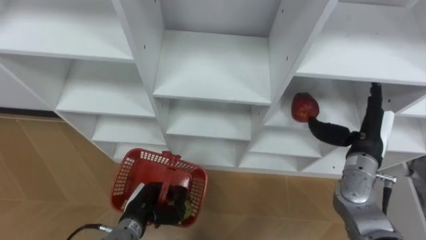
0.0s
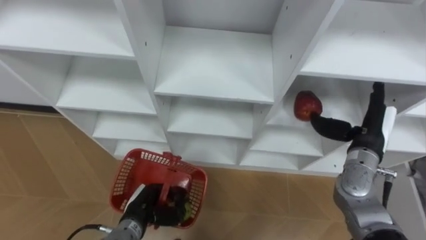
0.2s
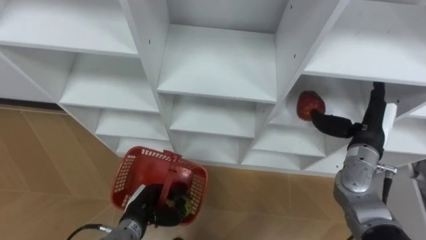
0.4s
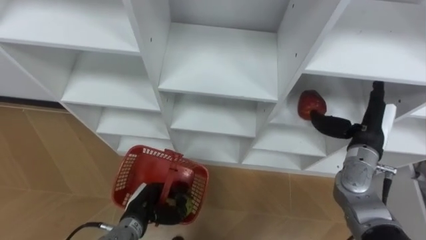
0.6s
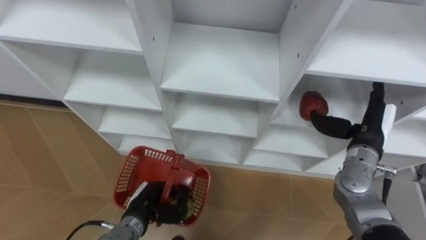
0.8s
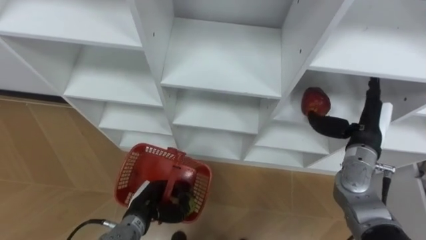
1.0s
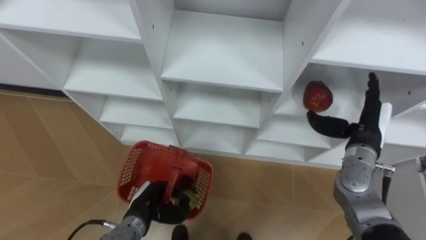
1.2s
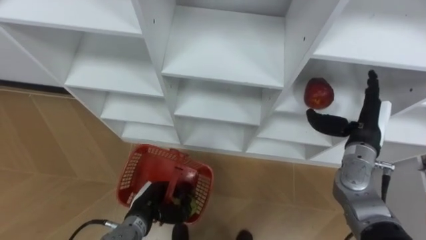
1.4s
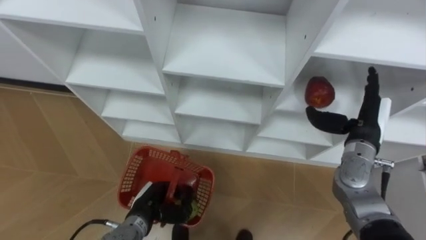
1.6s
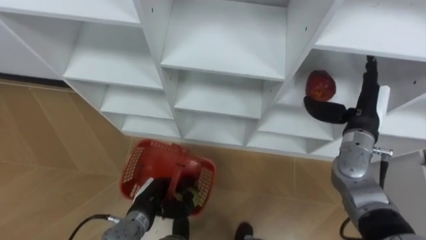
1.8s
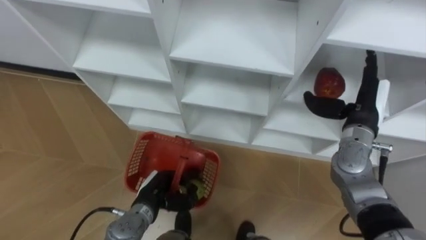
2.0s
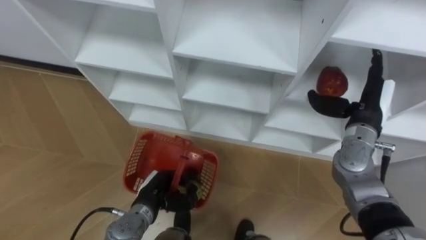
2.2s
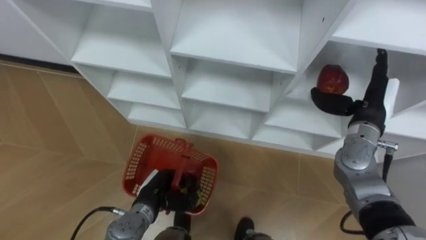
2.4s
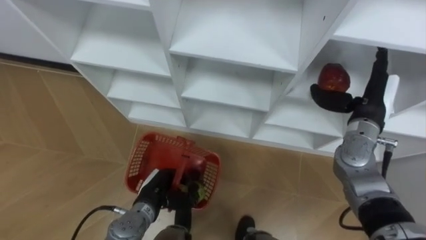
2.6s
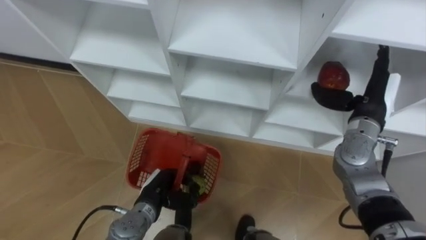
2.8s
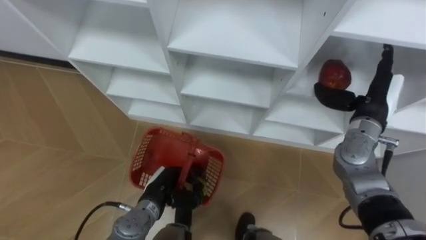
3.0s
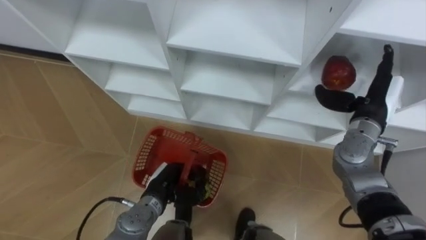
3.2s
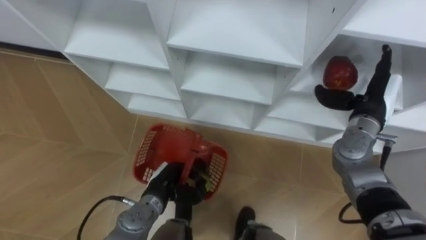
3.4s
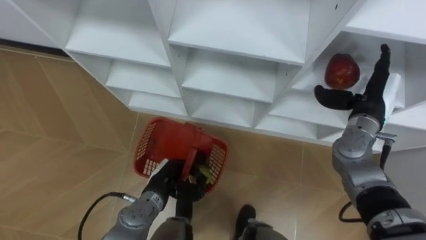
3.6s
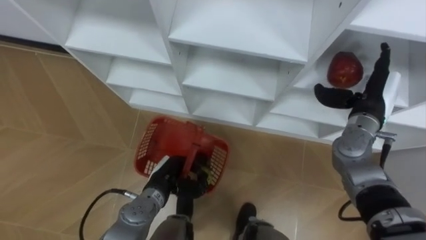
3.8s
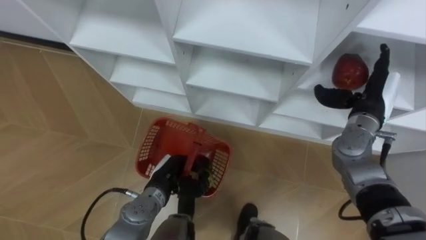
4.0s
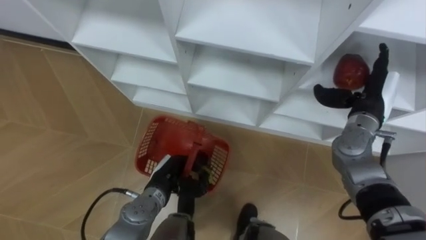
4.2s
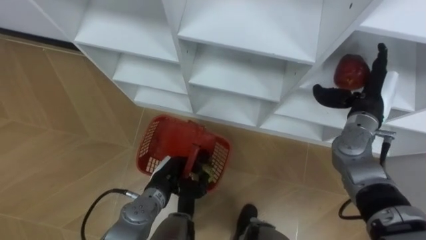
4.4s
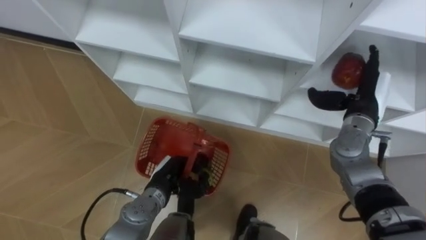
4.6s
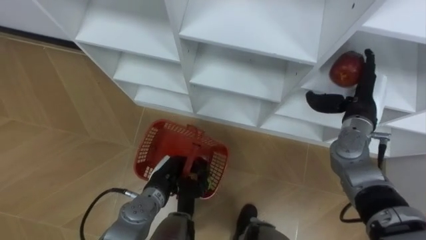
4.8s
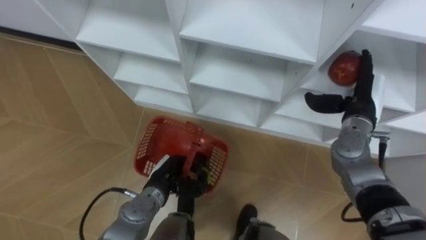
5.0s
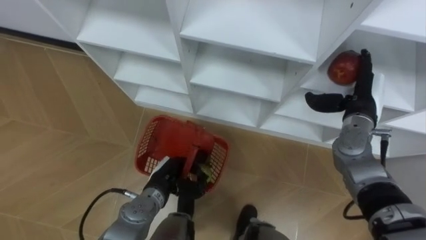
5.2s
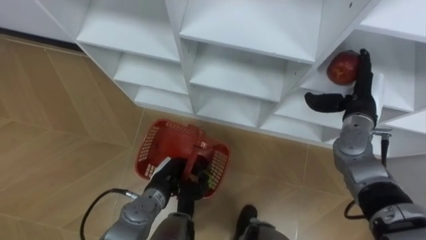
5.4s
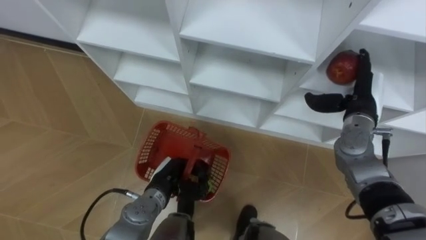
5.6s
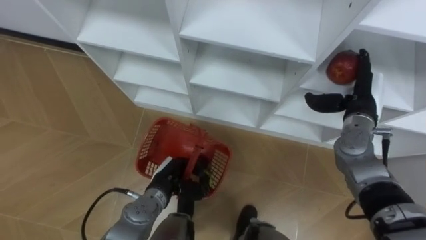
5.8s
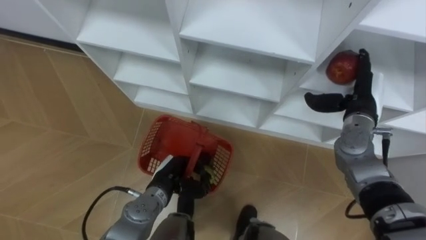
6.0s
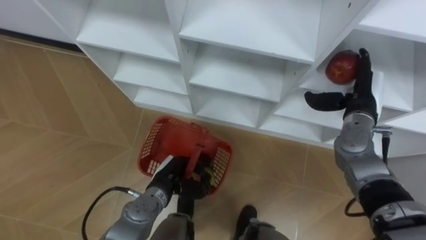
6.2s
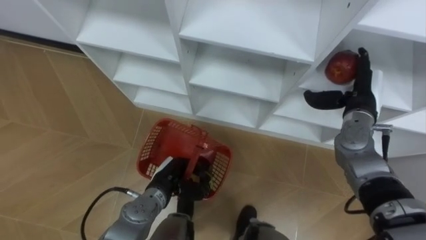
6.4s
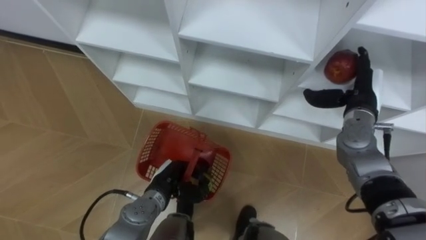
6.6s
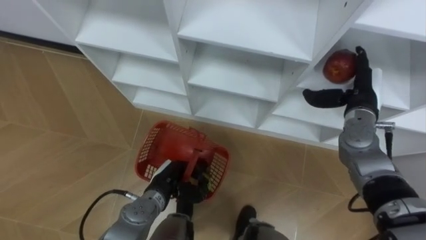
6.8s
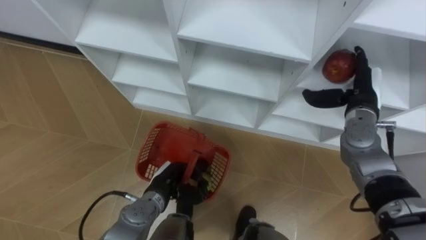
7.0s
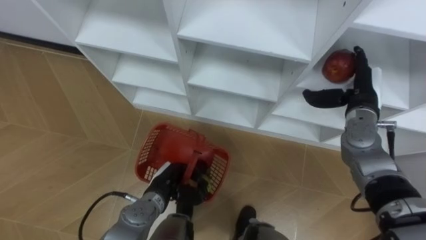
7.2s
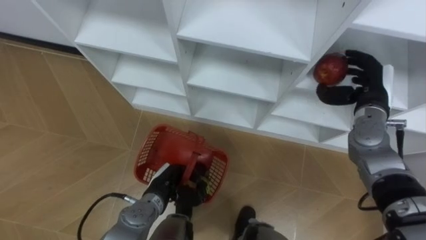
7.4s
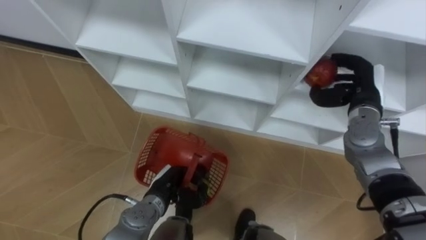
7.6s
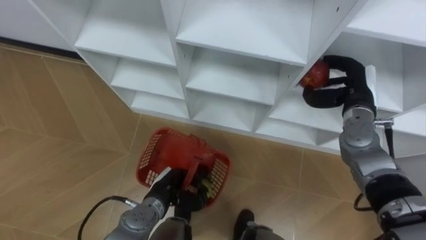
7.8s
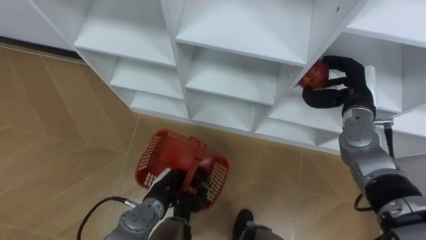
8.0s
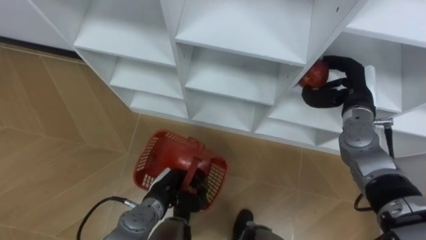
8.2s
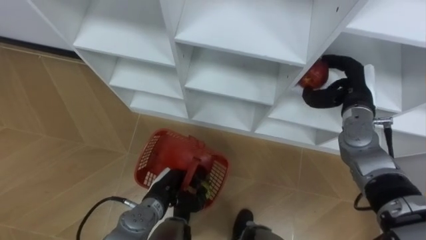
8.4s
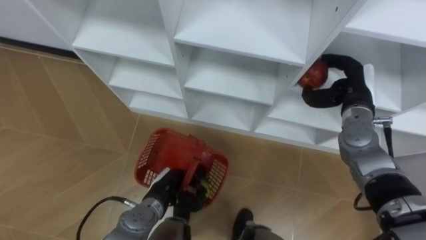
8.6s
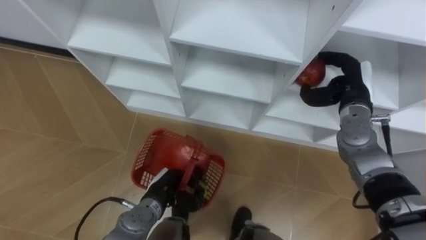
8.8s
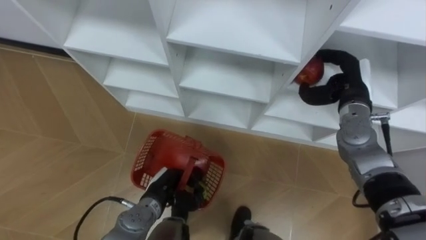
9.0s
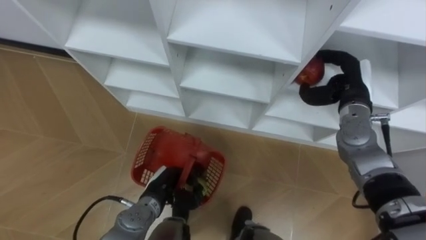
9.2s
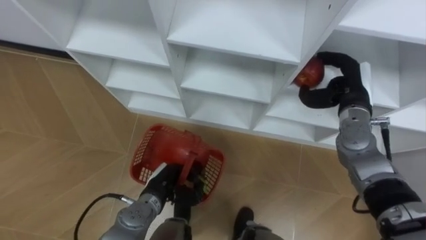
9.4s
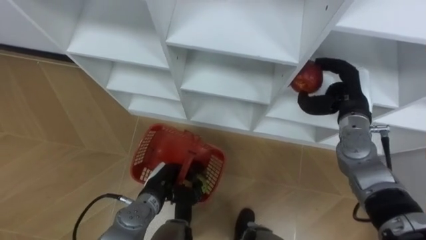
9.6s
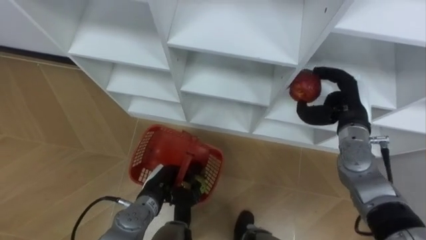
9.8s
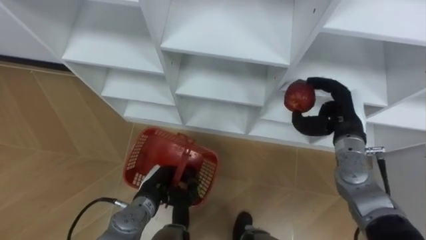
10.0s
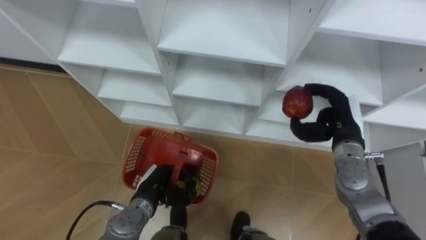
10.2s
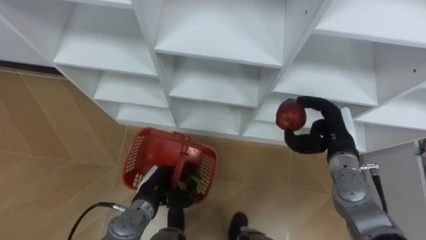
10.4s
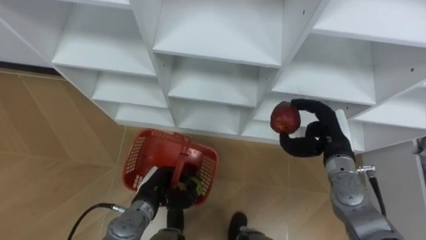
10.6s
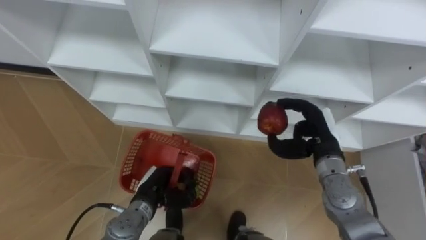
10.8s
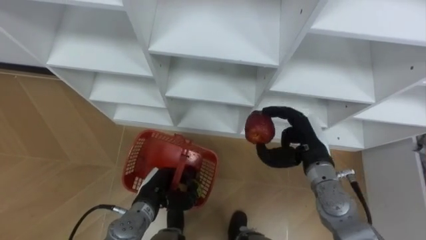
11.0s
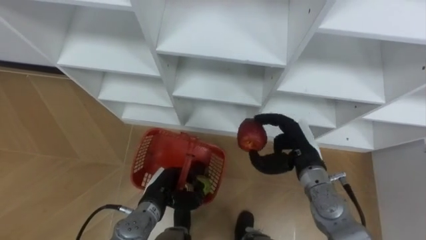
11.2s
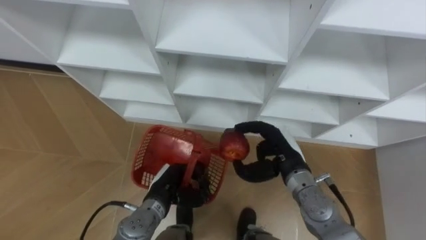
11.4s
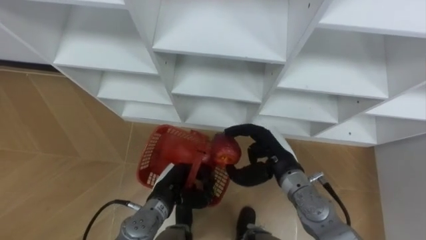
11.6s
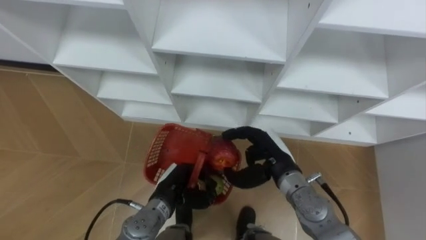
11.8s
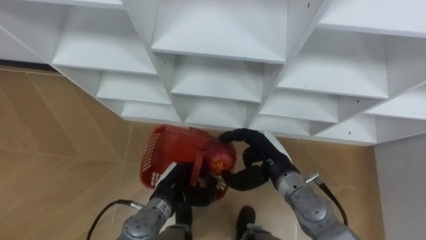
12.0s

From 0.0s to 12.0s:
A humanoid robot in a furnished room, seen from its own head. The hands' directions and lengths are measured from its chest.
Task of the whole recording: Hold the basket and collect the fruits from 3 different cells of the closet into it.
From 4.4s to 6.0s: The hands move only a little.
From 6.0s to 7.6s: The right hand closes its fingers.
From 7.6s to 9.0s: The hands stay close to where they were, moving slightly.
From 9.0s to 10.4s: The right hand moves backward and downward, roughly 10 cm.
From 10.4s to 12.0s: The right hand is displaced to the left by approximately 15 cm.

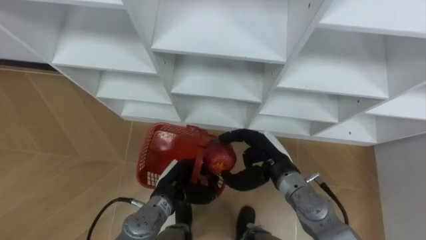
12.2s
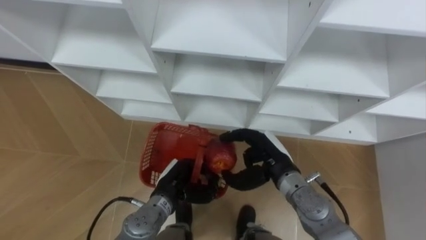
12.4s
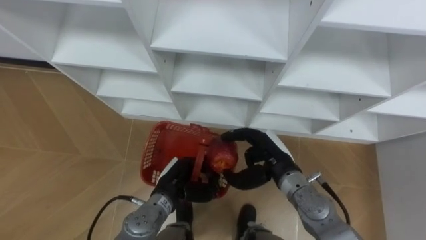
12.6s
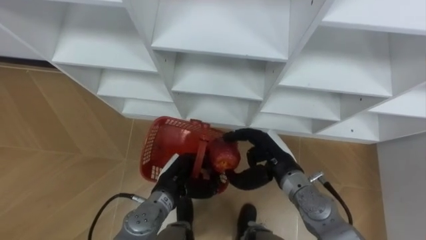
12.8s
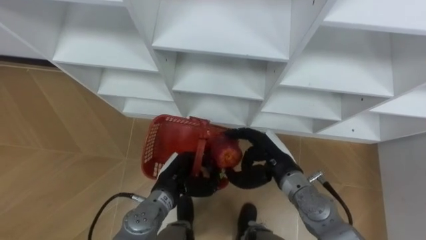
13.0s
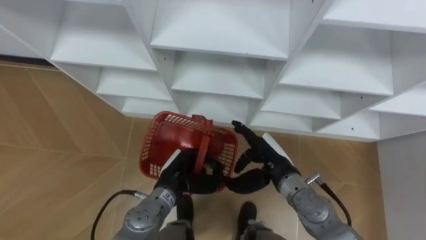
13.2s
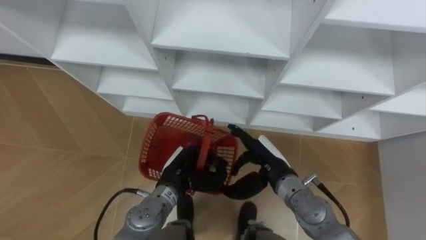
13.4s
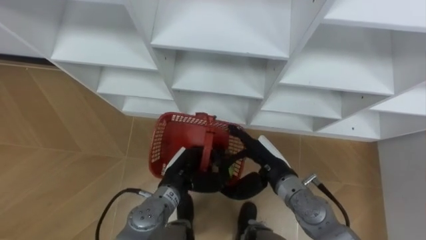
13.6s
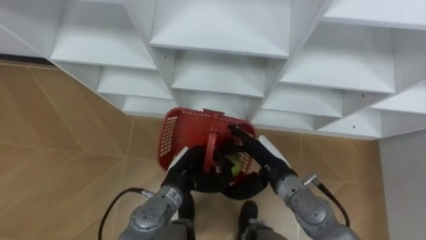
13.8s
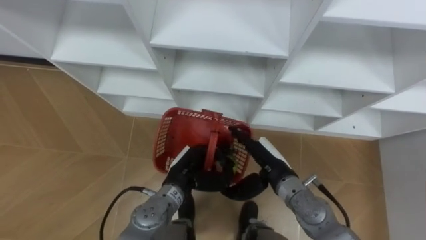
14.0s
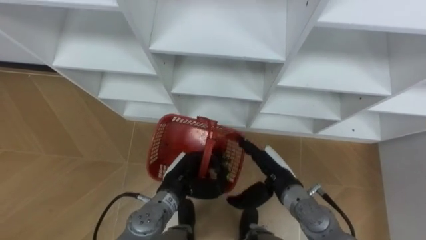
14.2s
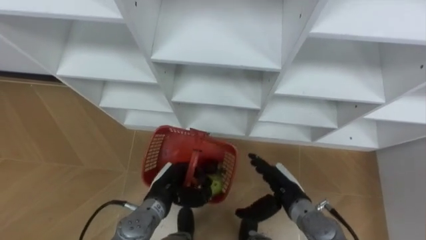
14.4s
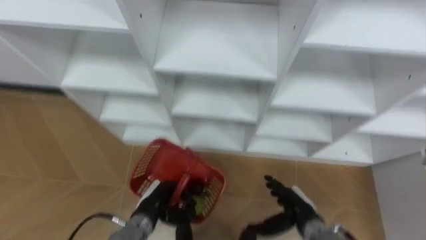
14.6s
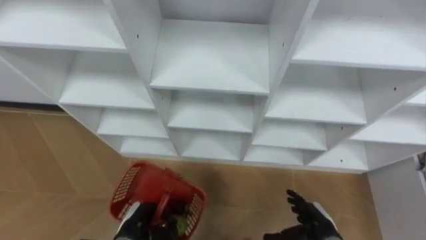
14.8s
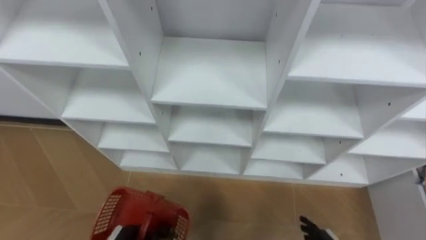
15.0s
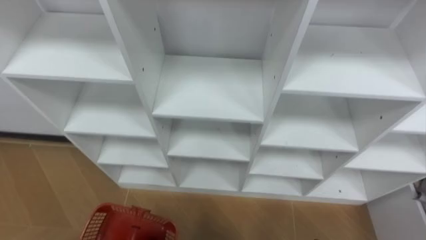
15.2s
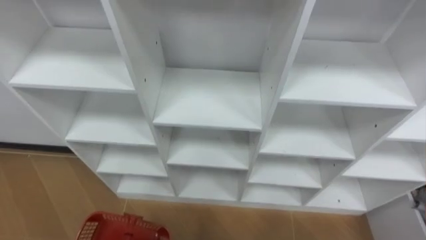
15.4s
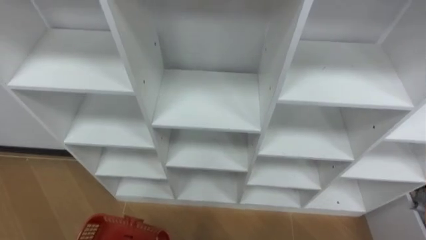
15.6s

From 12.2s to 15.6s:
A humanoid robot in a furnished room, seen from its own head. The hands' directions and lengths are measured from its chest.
Task of the whole recording: Hold the basket and collect the fruits from 3 different cells of the closet into it.
From 12.2s to 13.8s: The right hand opens up.

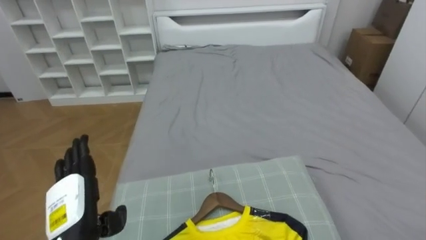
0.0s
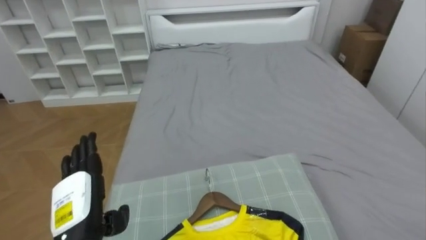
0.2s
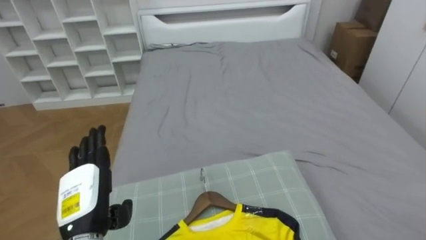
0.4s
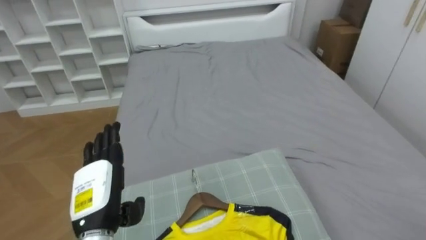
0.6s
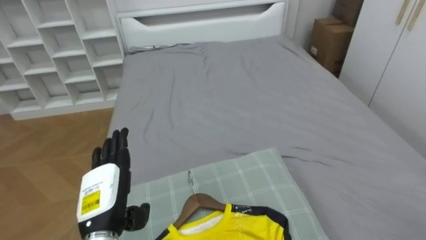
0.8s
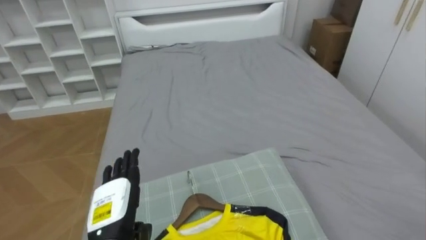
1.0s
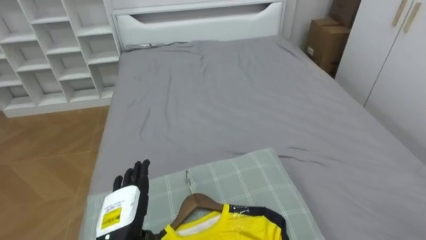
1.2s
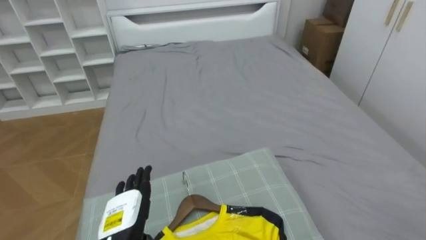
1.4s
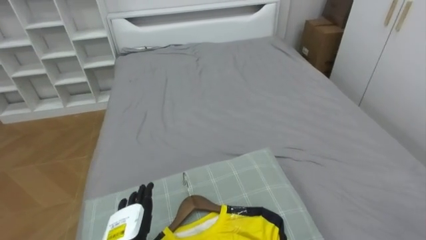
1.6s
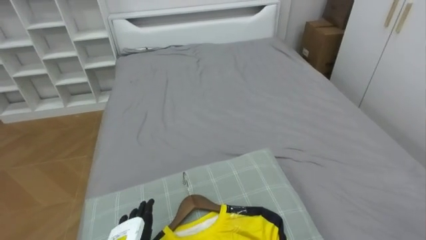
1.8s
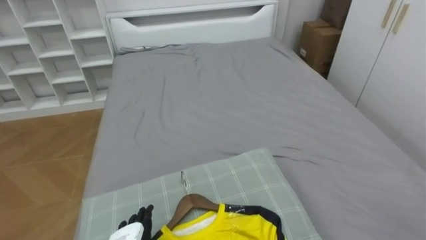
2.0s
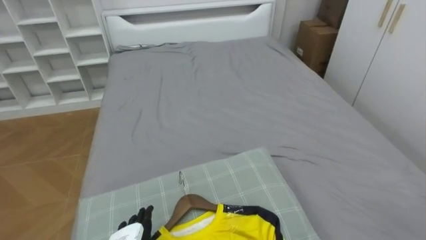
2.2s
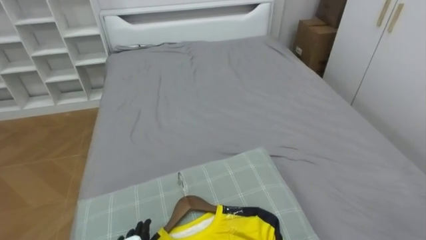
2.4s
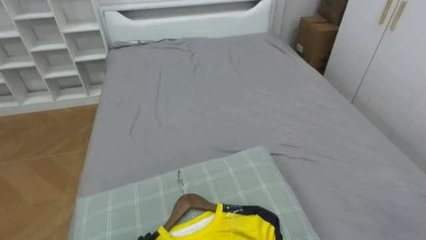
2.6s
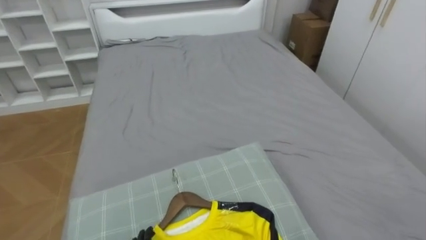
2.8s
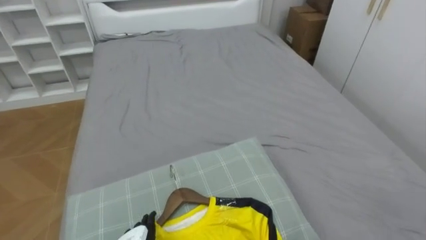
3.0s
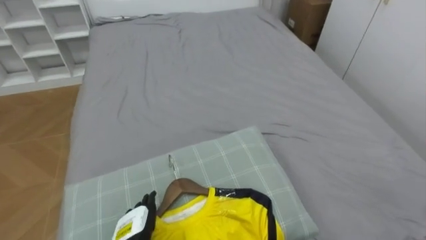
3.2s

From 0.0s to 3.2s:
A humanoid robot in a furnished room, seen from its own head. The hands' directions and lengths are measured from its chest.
Task of the whole recording: Pick up the yellow shirt on the bed and hang it on the clothes rack on the right.
From 0.0s to 1.6s: The left hand travels downward and to the right by about 10 cm.
